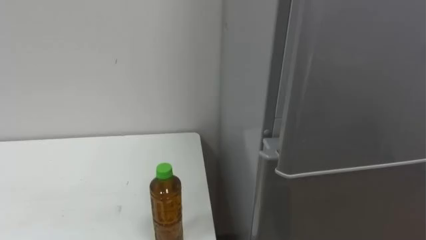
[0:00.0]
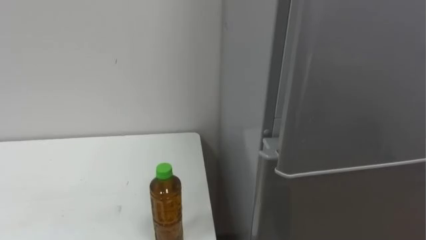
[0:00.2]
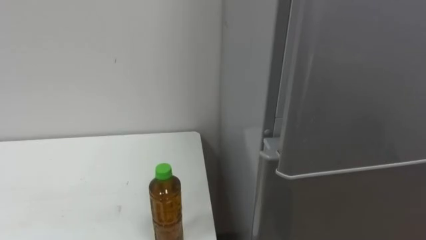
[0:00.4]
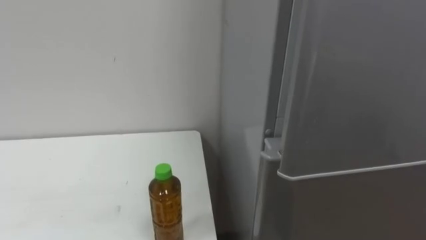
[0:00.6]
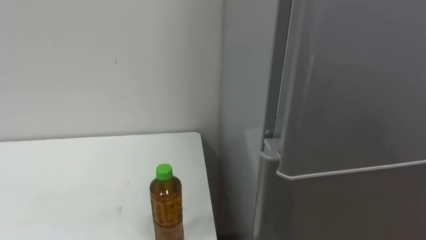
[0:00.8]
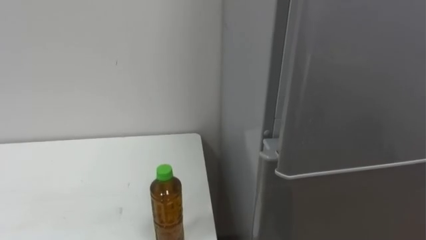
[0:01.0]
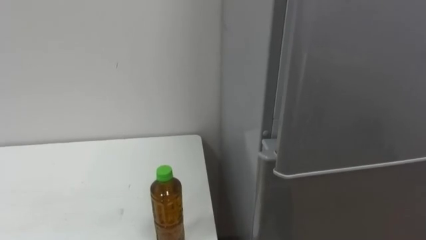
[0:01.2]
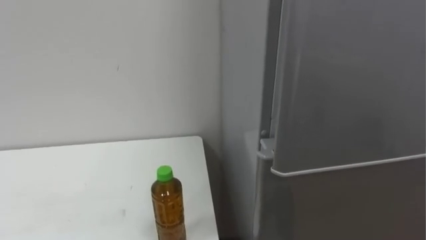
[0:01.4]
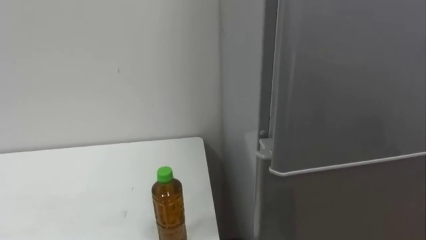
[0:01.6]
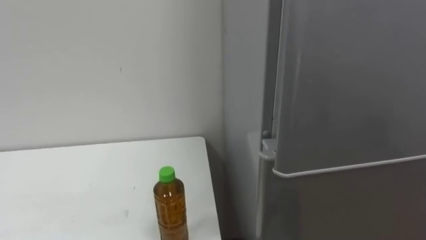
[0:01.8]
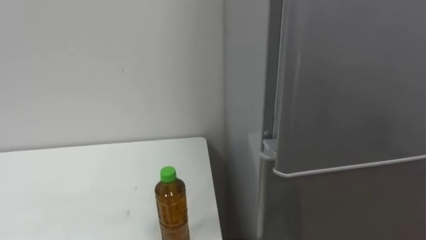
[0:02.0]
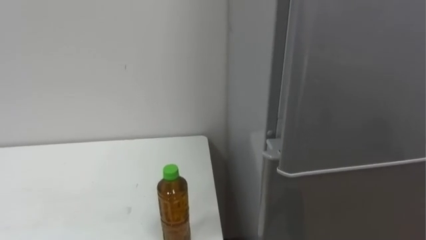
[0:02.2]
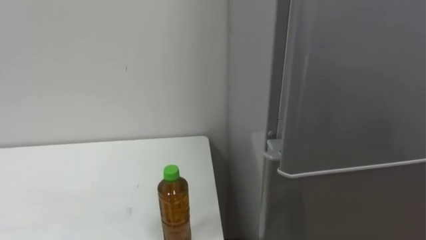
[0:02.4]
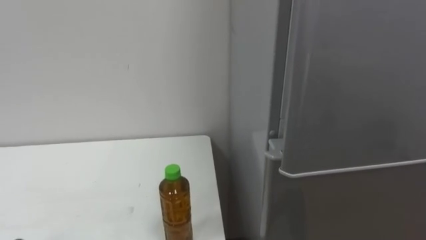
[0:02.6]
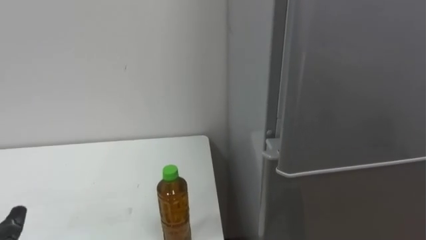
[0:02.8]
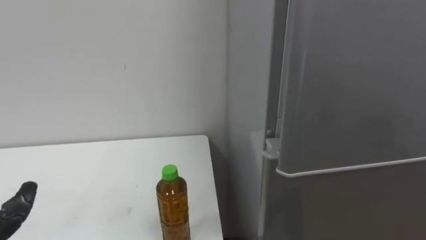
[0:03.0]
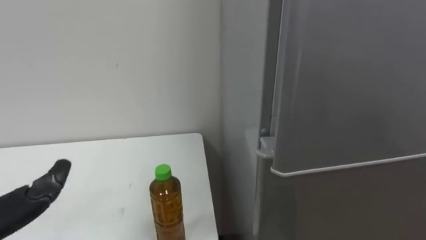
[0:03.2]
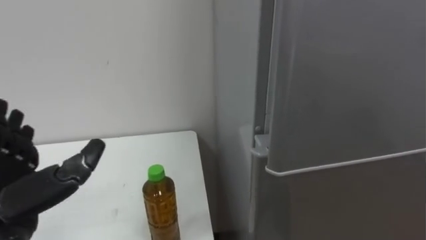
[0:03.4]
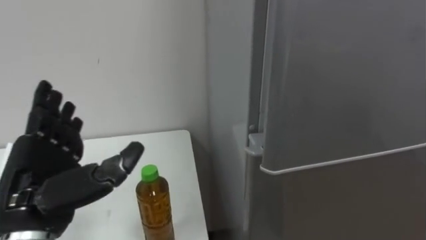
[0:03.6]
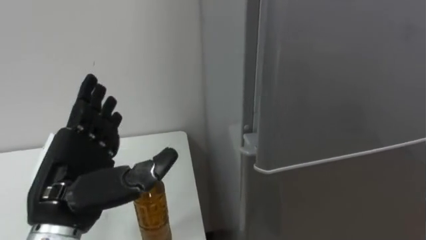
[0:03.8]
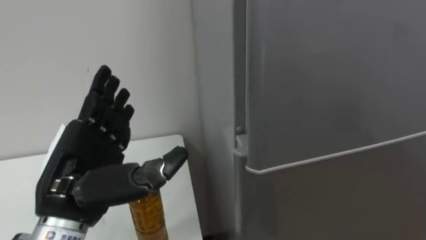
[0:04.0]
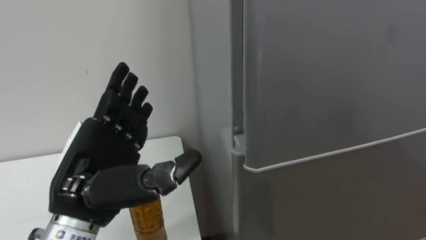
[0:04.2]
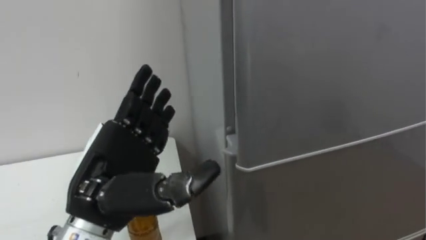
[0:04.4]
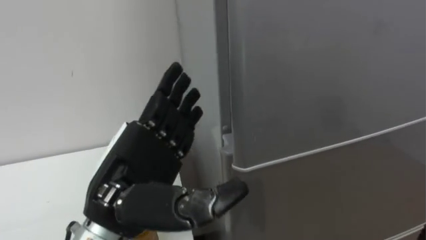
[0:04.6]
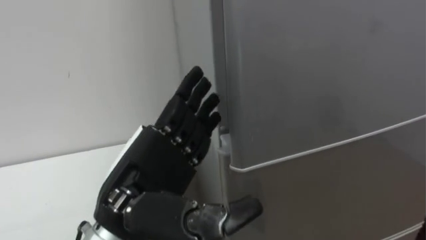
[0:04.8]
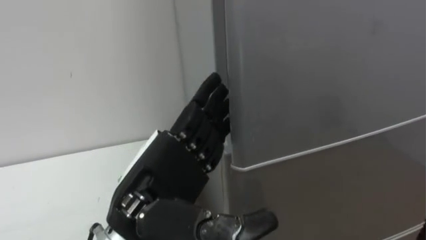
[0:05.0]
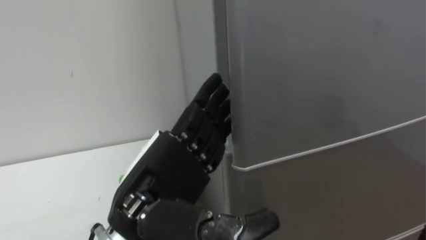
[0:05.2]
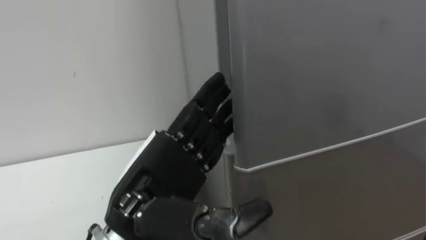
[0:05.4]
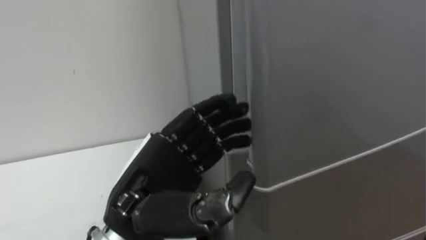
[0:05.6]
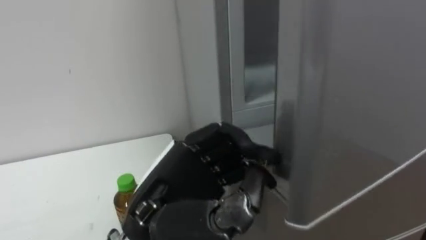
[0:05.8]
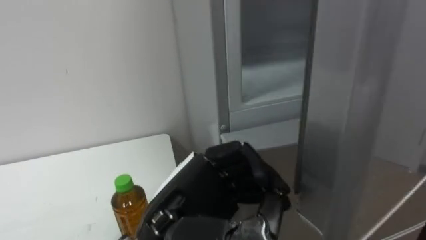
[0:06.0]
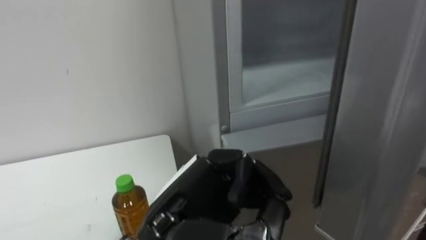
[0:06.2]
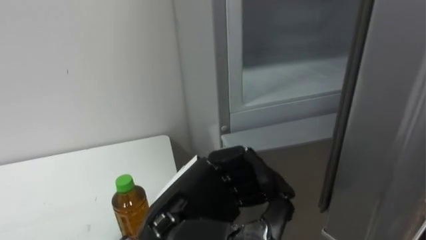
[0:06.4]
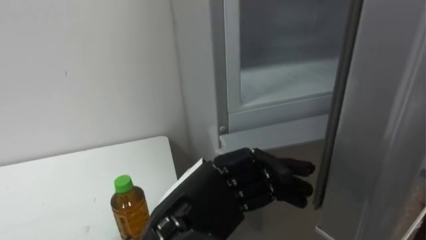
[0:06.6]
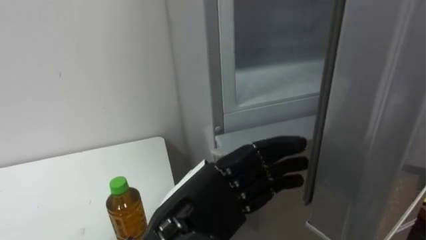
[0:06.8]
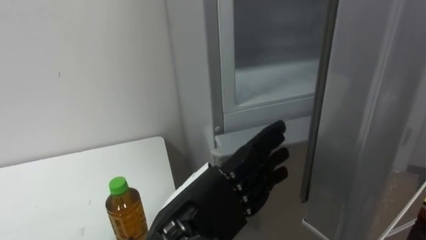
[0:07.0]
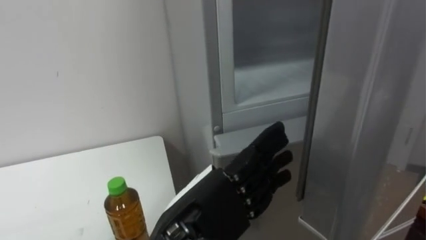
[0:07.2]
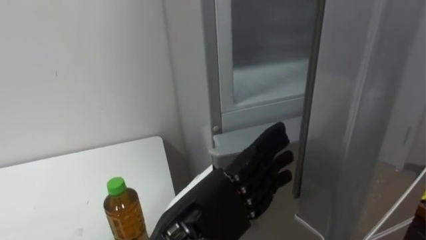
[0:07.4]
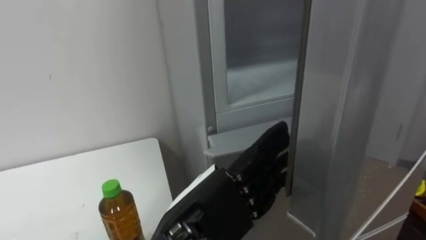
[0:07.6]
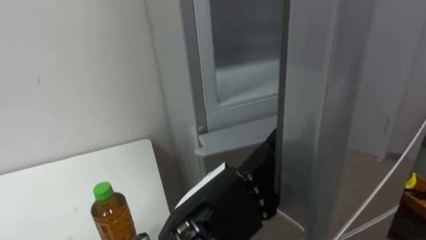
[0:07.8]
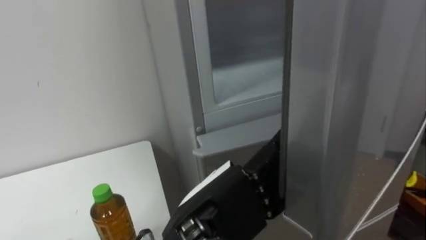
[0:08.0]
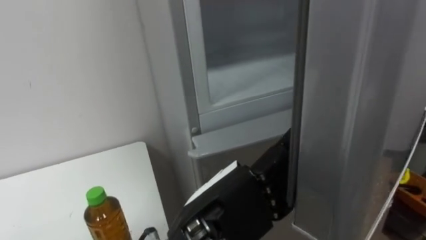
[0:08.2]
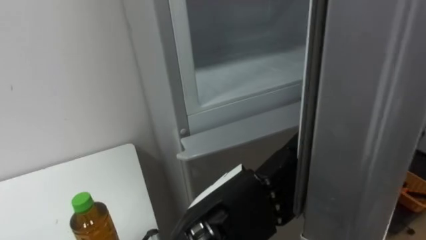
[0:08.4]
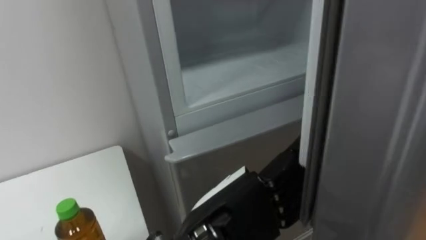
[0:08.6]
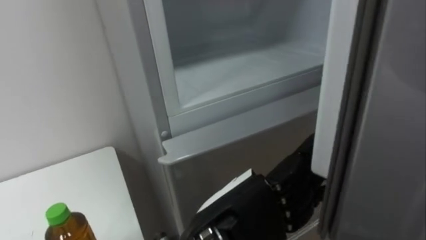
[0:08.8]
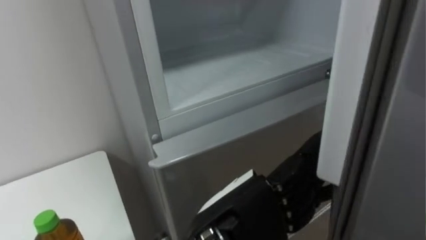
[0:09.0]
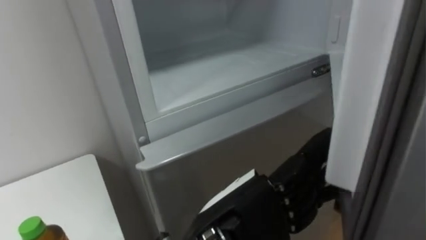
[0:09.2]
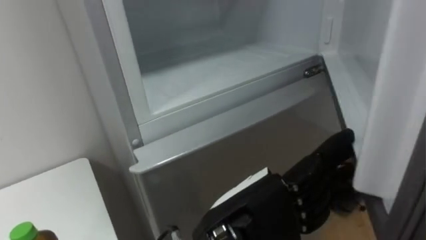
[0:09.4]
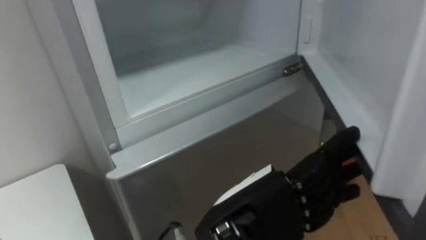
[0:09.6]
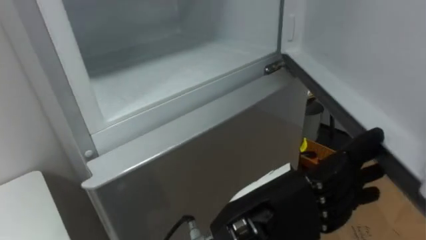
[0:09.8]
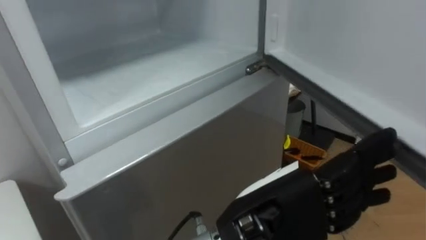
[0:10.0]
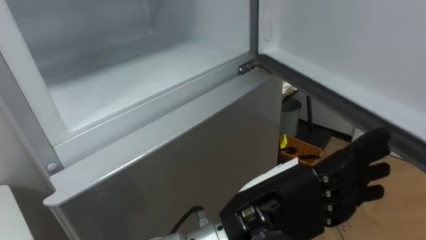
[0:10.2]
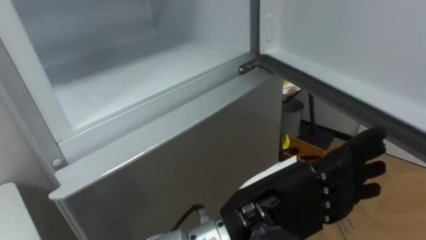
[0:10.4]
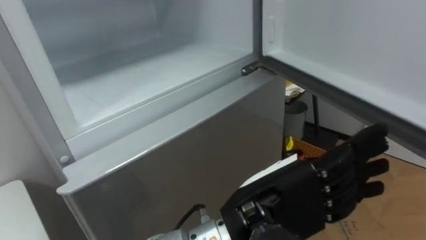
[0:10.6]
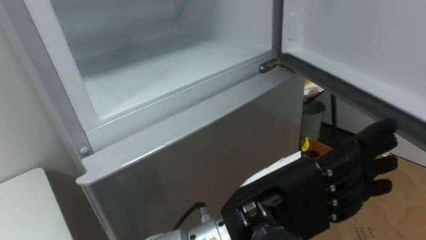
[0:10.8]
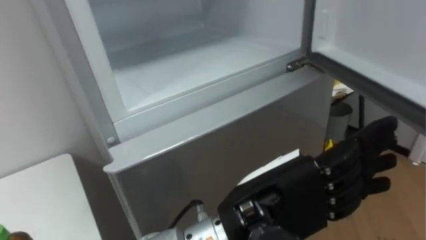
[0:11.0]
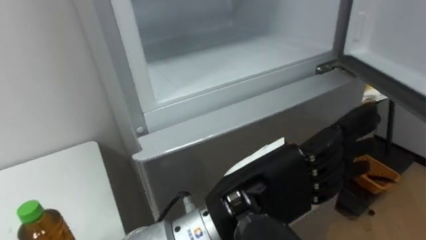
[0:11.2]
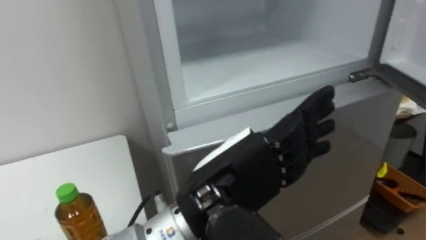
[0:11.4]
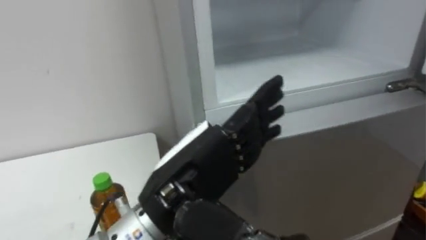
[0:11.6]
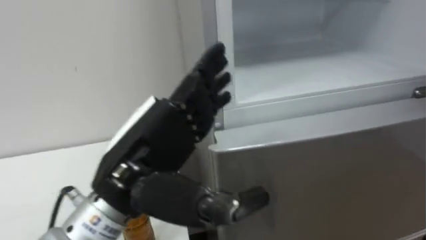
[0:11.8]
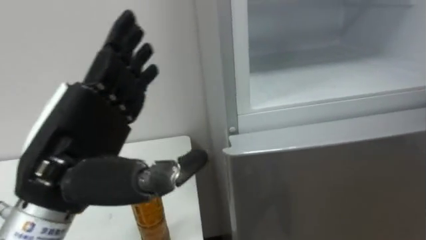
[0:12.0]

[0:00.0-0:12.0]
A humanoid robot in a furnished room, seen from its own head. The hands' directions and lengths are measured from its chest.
Task of the whole recording: Open the upper refrigerator door, put the drink from the table into the refrigerator, and then close the refrigerator door.
0:04.4 to 0:06.0: The left hand is displaced to the right by approximately 10 cm, and closes.
0:06.0 to 0:07.6: The left hand opens up.
0:10.4 to 0:12.0: The left hand moves to the left, some 20 cm.

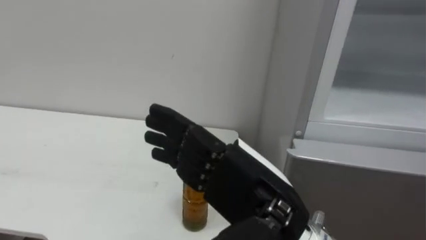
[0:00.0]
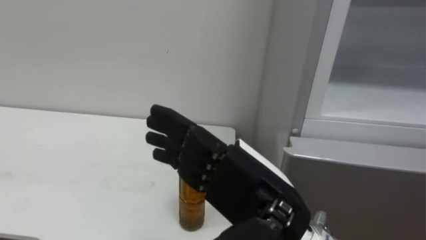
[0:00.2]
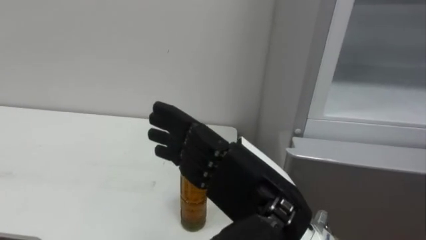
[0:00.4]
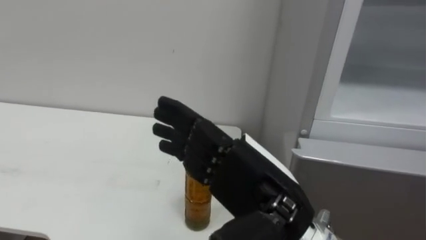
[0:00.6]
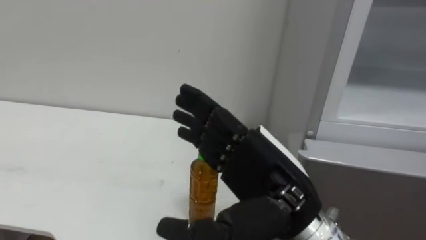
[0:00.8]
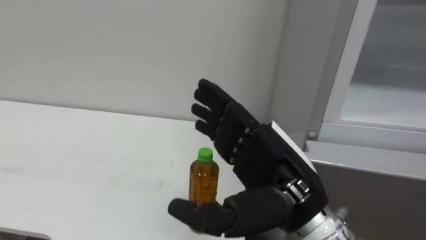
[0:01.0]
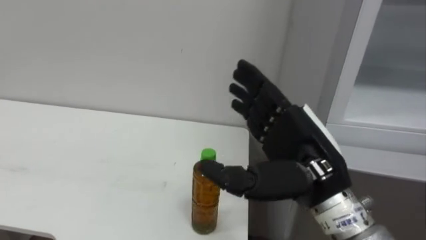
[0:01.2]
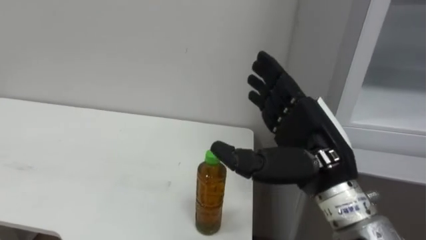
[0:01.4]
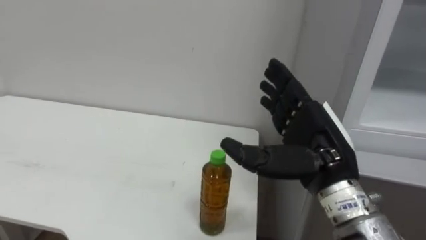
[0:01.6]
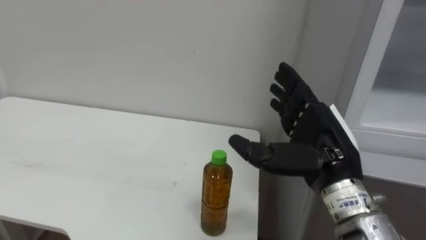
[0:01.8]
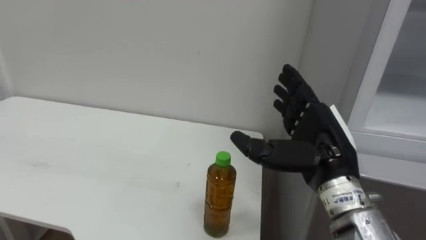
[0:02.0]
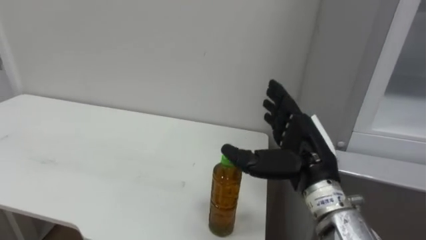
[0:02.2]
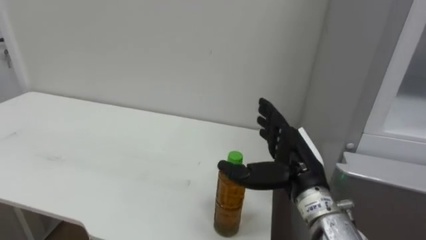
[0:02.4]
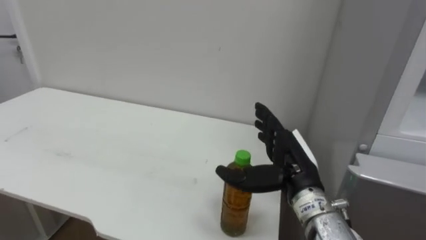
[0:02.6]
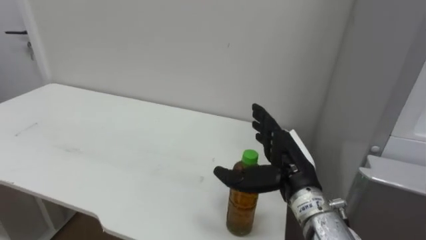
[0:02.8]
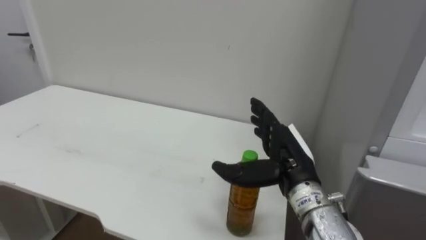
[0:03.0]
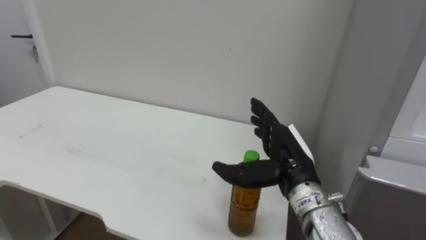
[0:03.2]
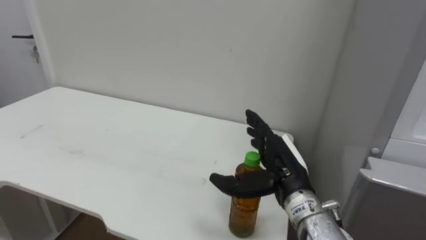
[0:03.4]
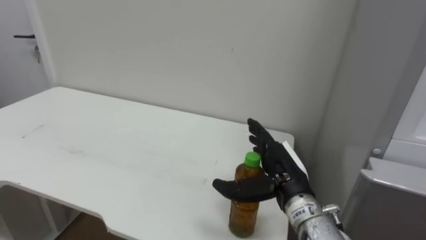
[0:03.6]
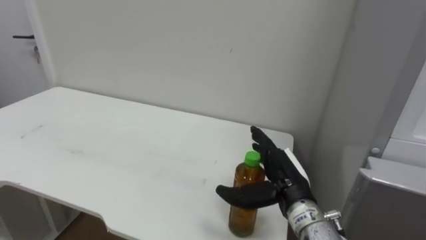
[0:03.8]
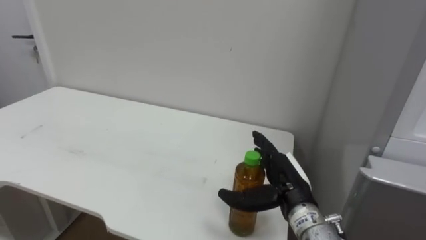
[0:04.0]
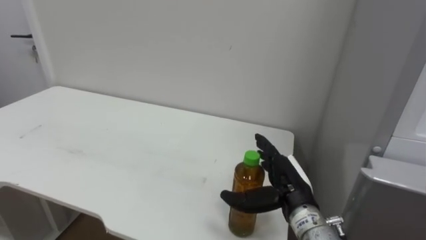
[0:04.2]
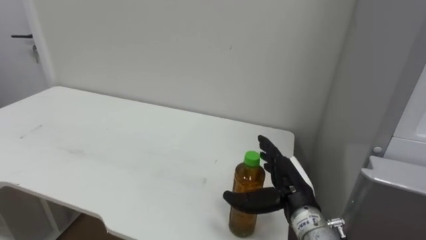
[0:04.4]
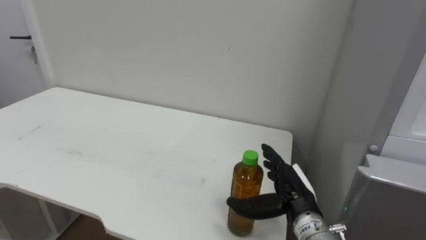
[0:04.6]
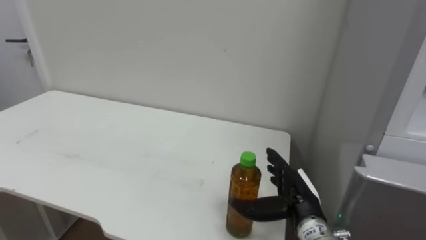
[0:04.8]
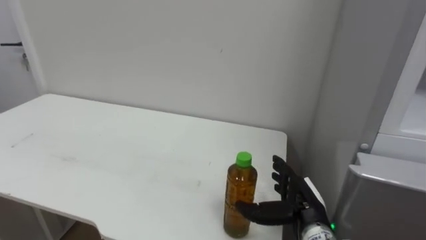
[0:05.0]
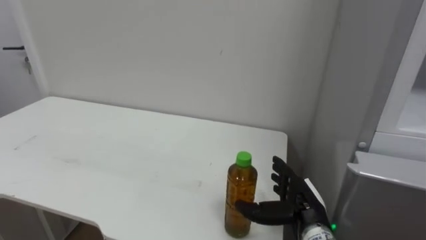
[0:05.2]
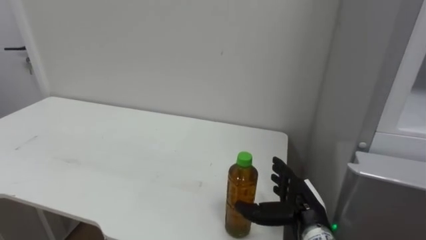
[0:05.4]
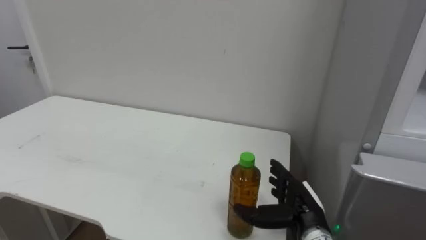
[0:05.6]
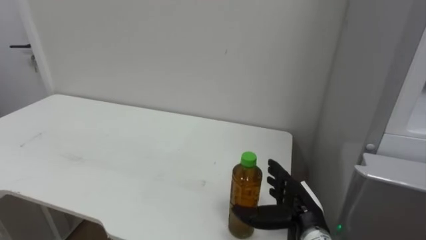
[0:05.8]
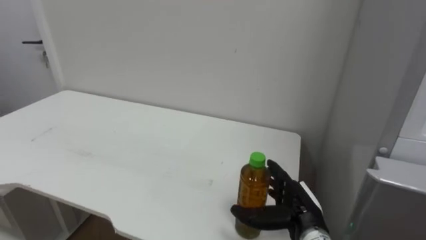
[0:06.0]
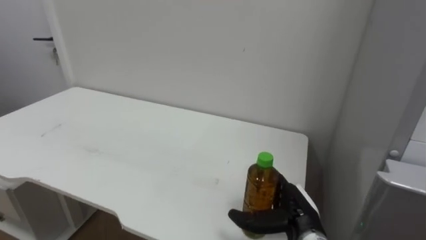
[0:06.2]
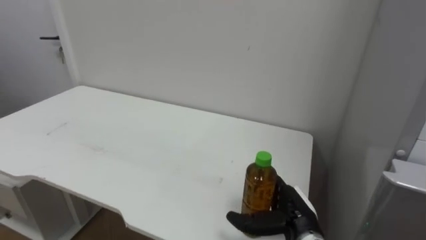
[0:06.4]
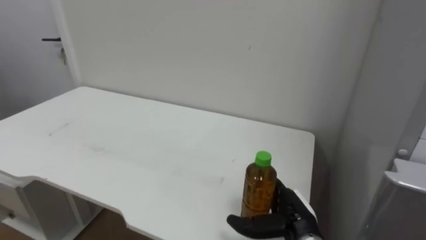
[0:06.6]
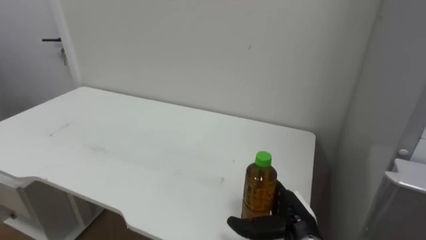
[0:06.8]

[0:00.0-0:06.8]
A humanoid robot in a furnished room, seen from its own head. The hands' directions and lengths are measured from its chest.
Task of the whole recording: Open the upper refrigerator door, put the drink from the table into the refrigerator, and then close the refrigerator door.
0:00.0 to 0:01.4: The right hand travels to the right and forward by approximately 10 cm.
0:01.4 to 0:02.8: The right hand goes some 10 cm downward and forward.
0:04.0 to 0:05.4: The right hand moves downward, approximately 5 cm.
